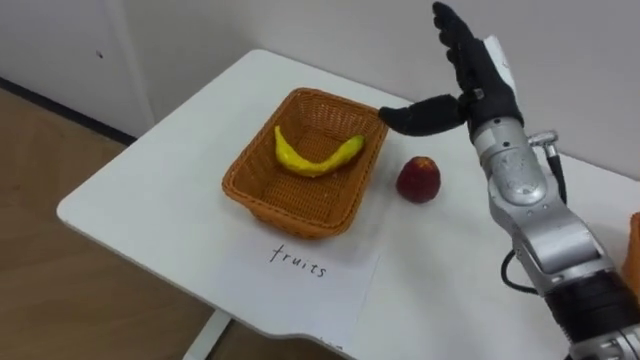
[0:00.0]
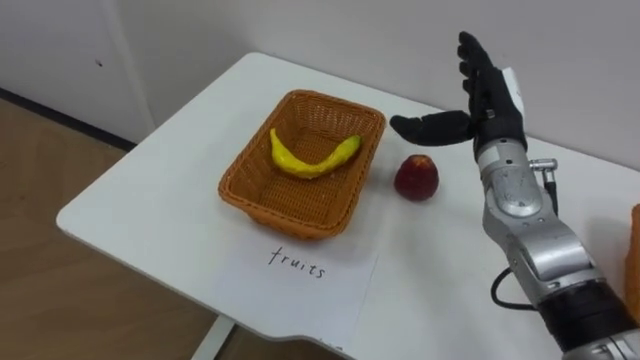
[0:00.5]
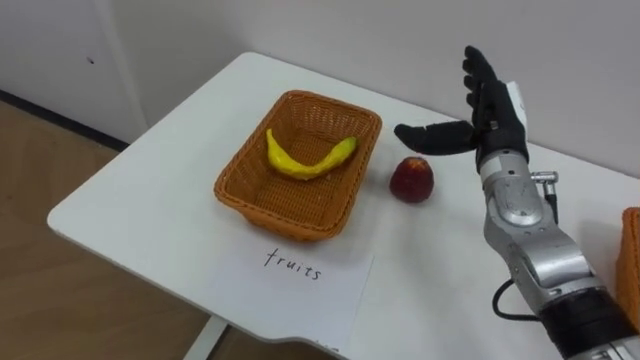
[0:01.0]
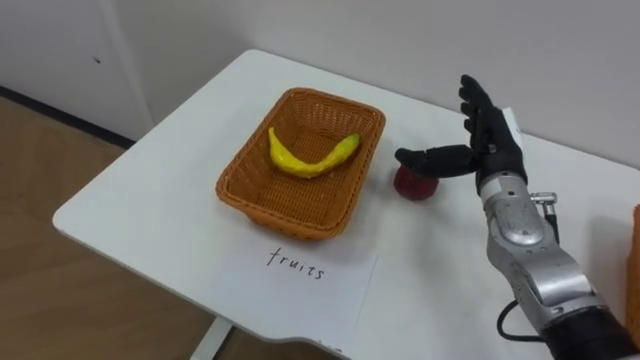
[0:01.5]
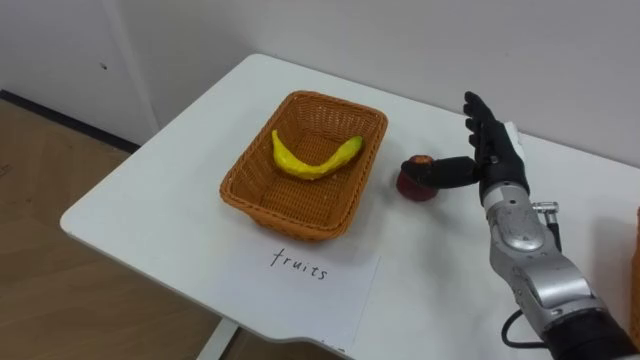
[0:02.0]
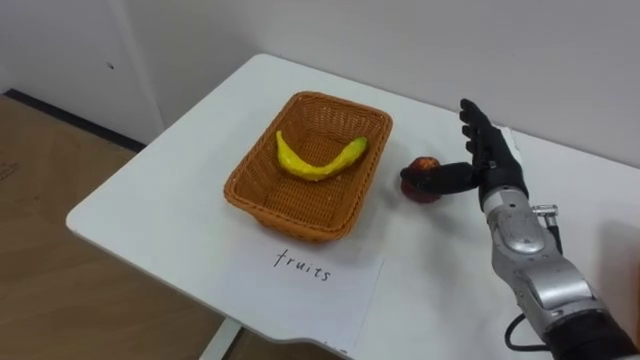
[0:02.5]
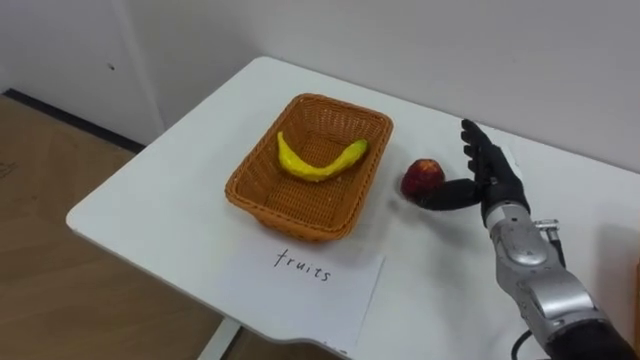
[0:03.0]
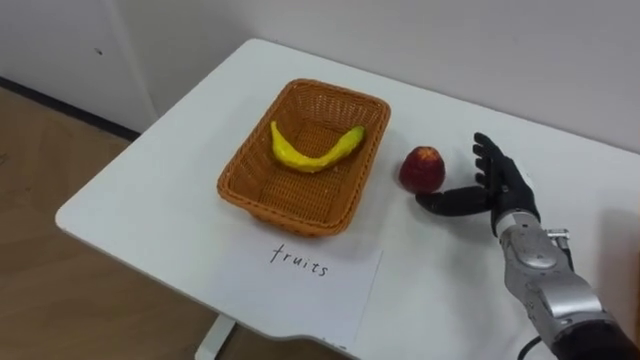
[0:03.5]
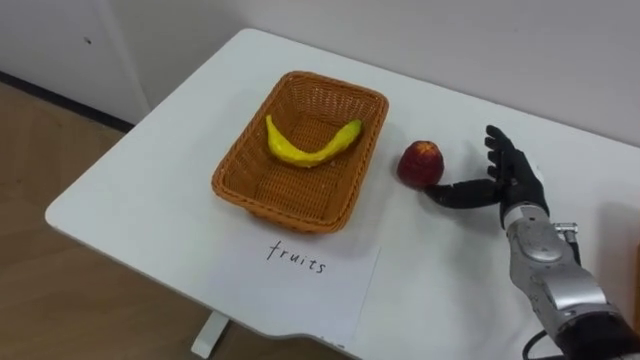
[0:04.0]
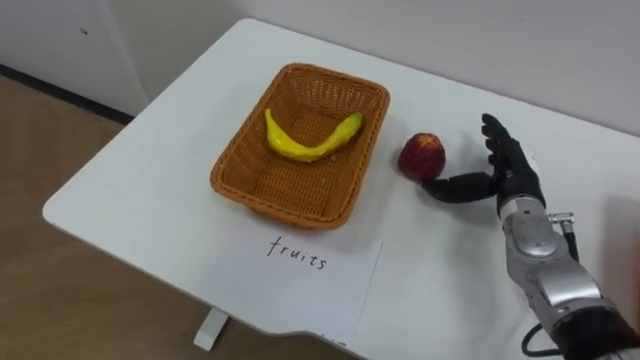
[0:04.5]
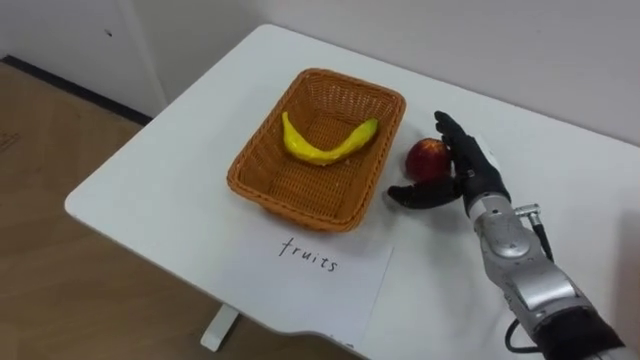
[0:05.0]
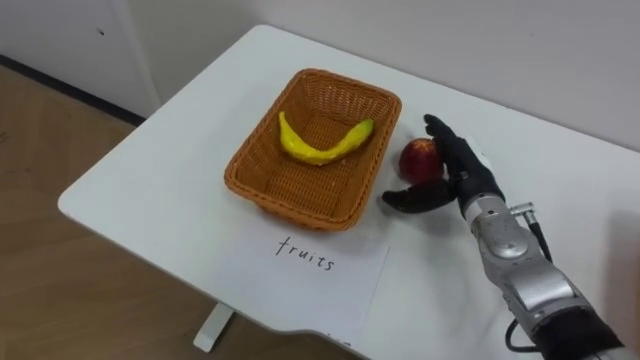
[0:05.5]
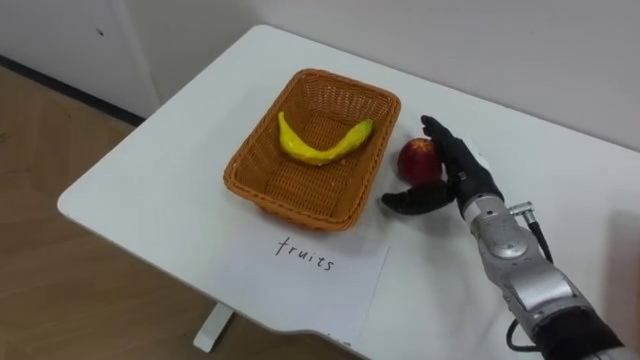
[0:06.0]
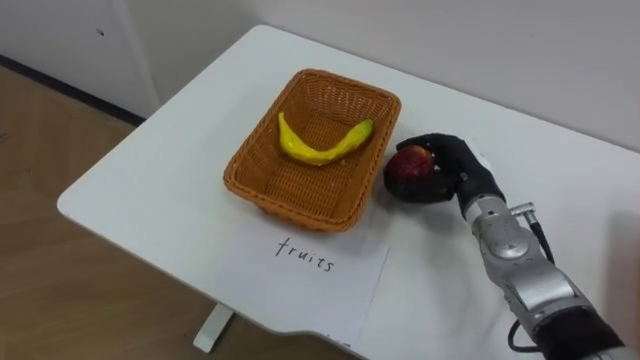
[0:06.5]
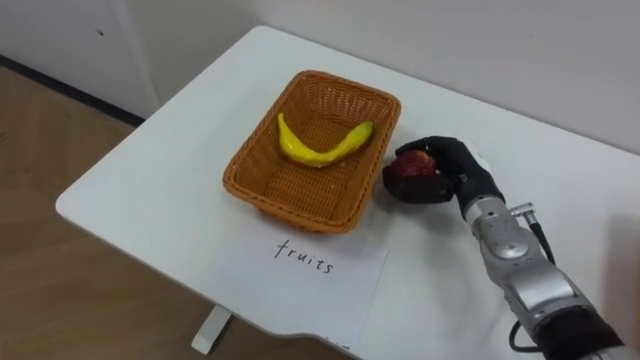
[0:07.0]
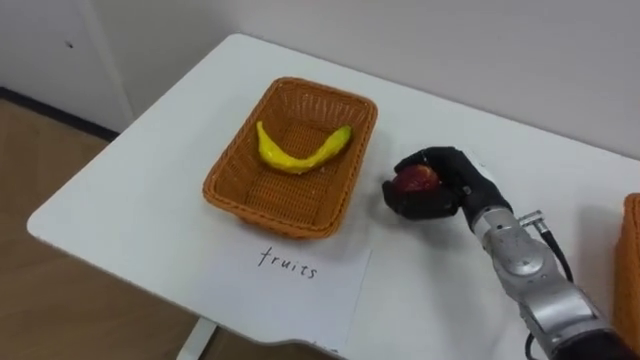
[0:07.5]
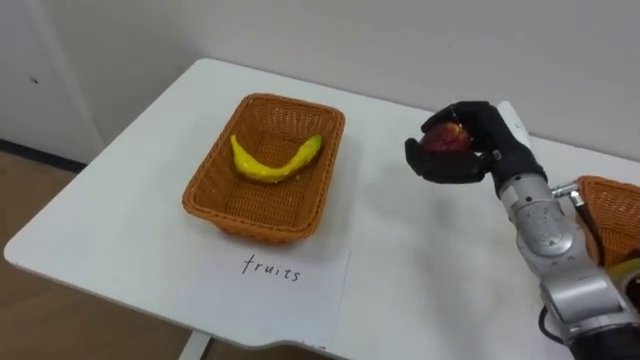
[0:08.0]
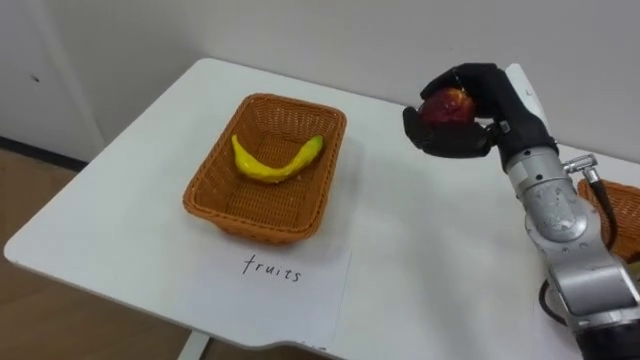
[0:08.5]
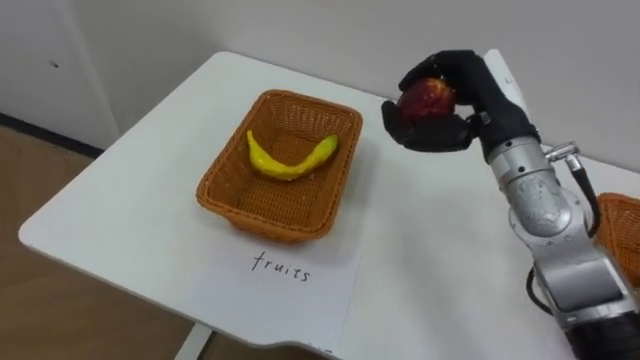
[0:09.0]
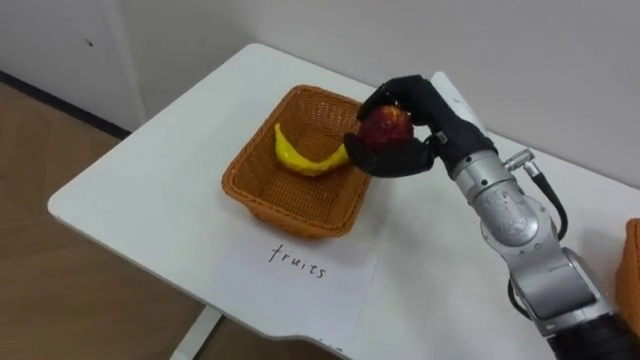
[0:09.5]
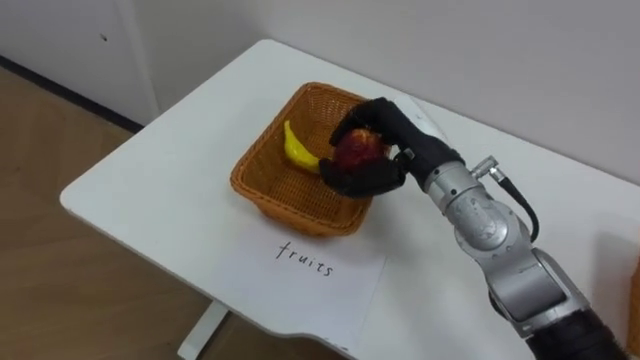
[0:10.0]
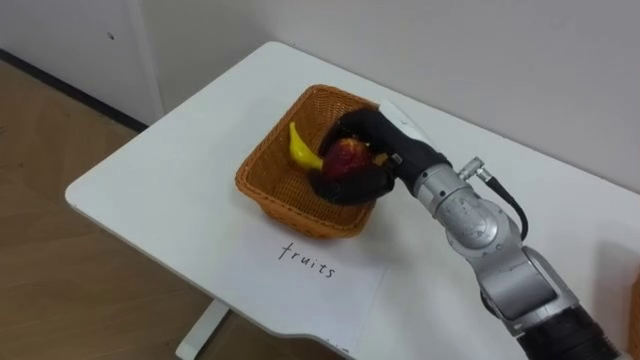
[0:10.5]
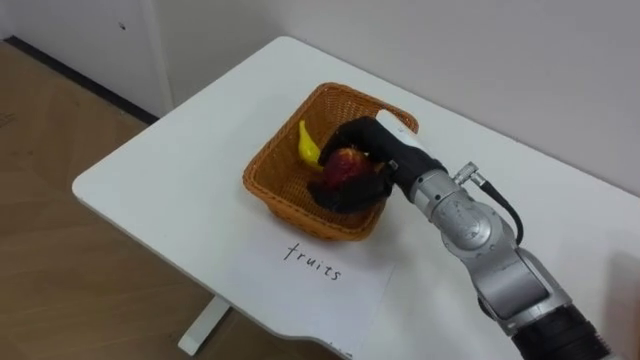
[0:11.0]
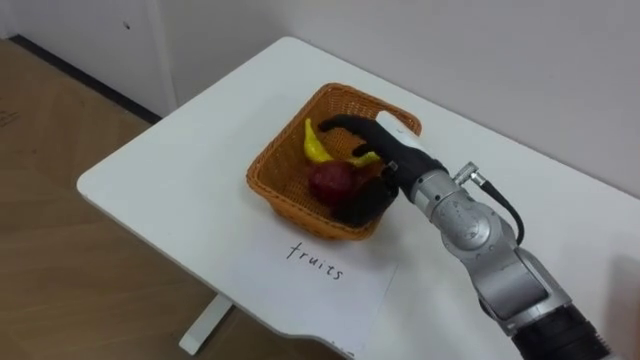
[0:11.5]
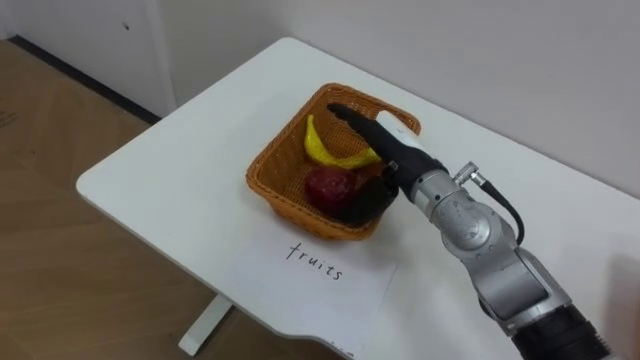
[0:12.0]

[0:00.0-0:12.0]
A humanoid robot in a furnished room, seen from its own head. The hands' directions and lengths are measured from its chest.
Task of the whole recording: Separate the items on the table and place them into the two baskets.
0:00.0 to 0:02.0: The right hand is displaced downward by about 10 cm.
0:02.0 to 0:04.0: The right hand moves some 5 cm.
0:04.0 to 0:06.0: The right hand moves to the left, some 5 cm.
0:06.0 to 0:08.0: The right hand shifts roughly 5 cm upward, and closes.
0:08.0 to 0:10.0: The right hand shifts about 10 cm to the left.
0:10.0 to 0:12.0: The right hand opens.

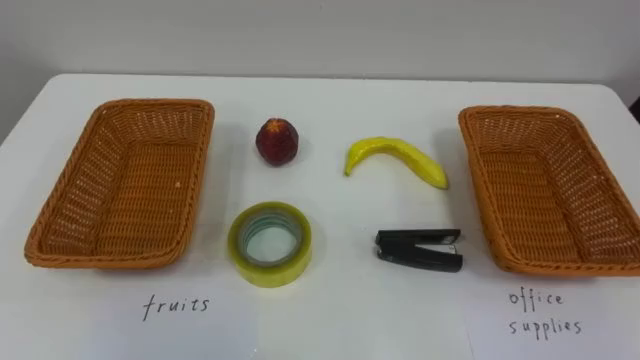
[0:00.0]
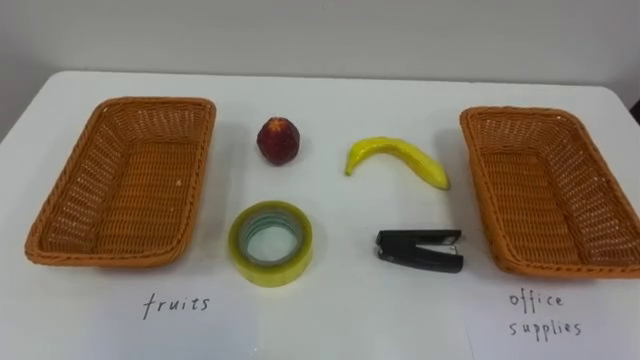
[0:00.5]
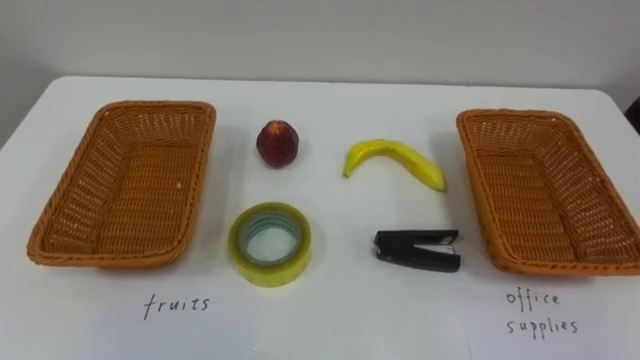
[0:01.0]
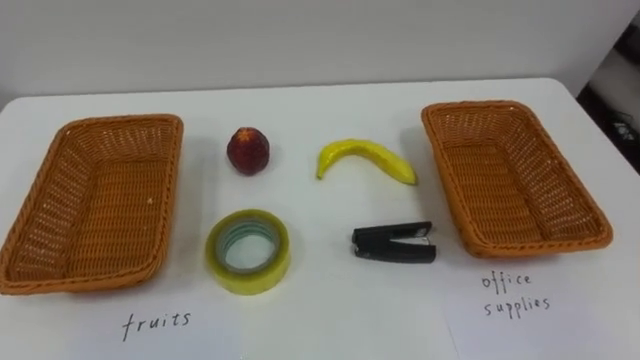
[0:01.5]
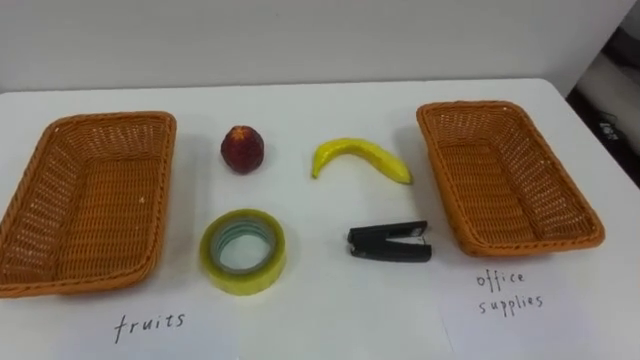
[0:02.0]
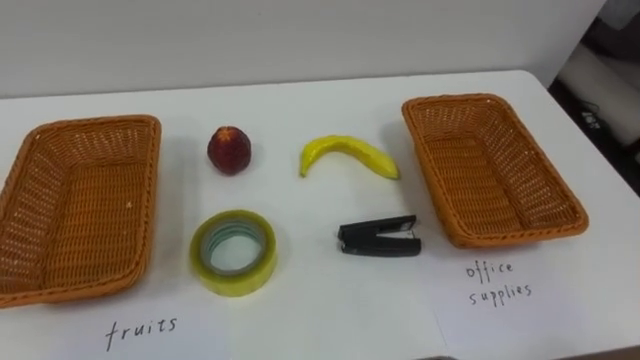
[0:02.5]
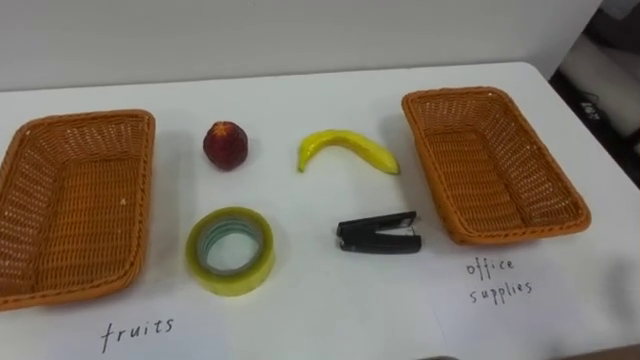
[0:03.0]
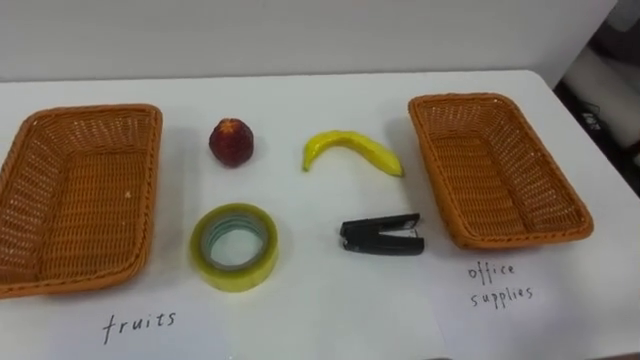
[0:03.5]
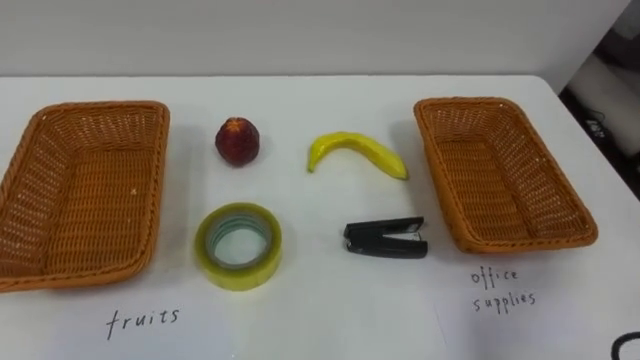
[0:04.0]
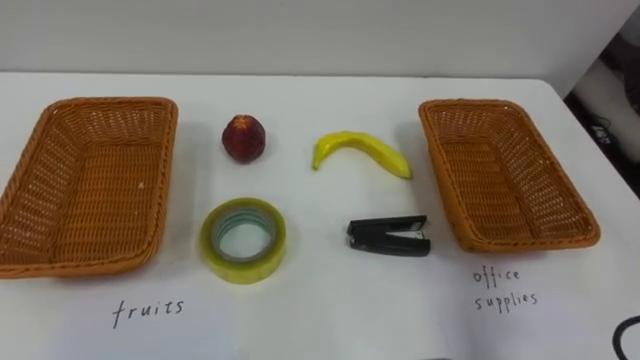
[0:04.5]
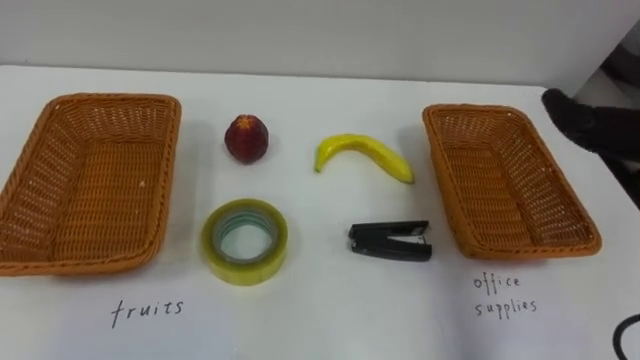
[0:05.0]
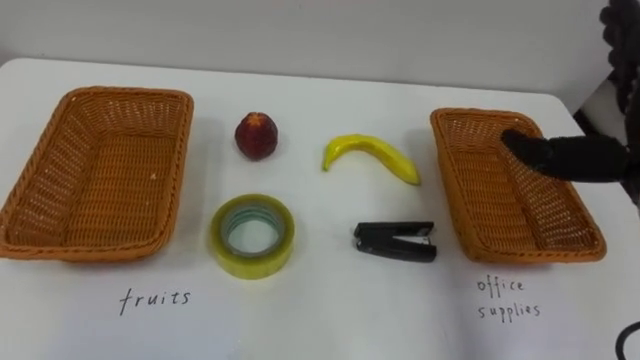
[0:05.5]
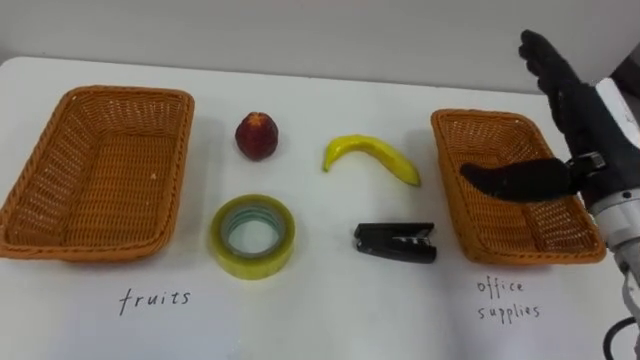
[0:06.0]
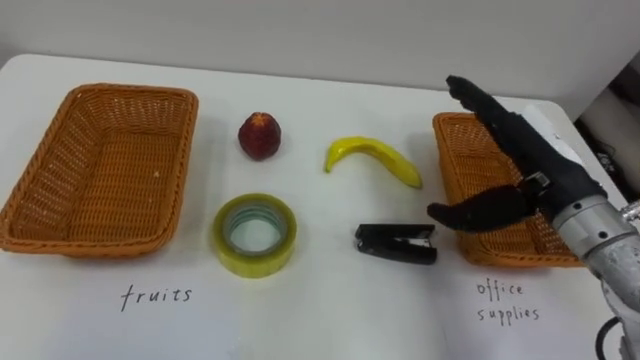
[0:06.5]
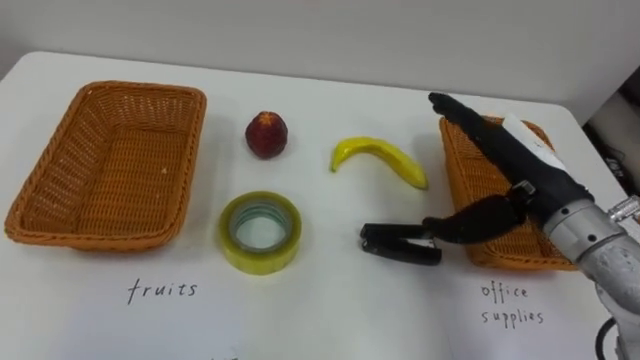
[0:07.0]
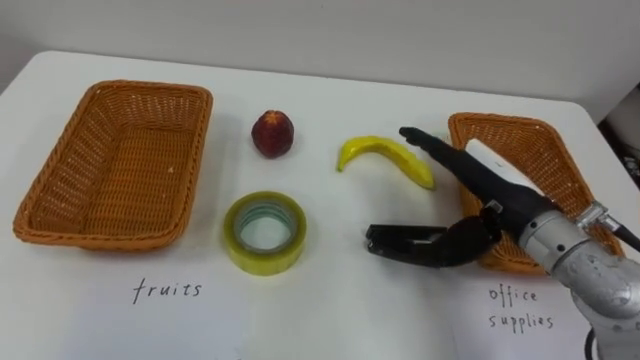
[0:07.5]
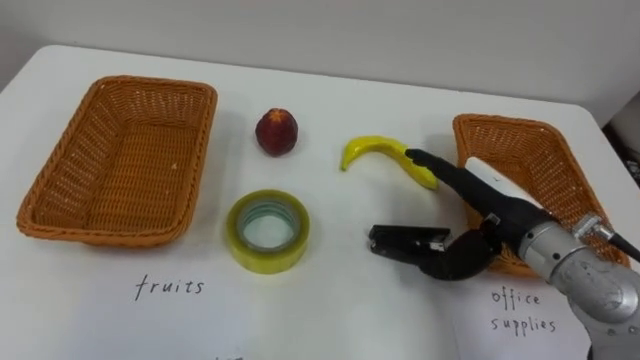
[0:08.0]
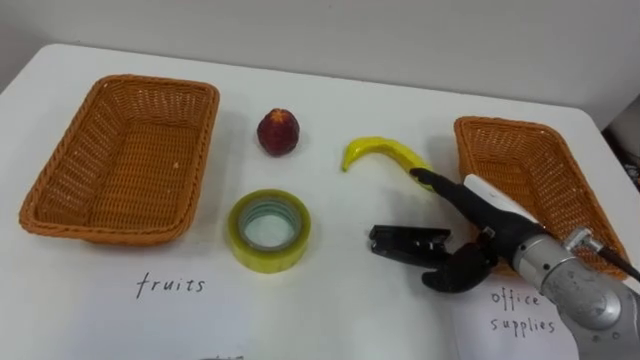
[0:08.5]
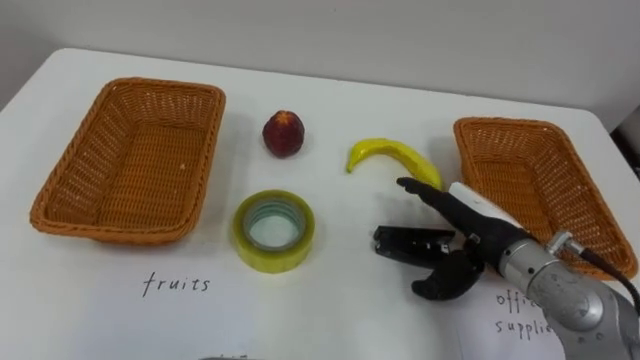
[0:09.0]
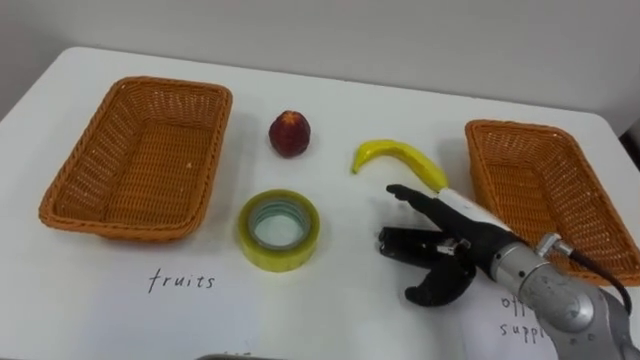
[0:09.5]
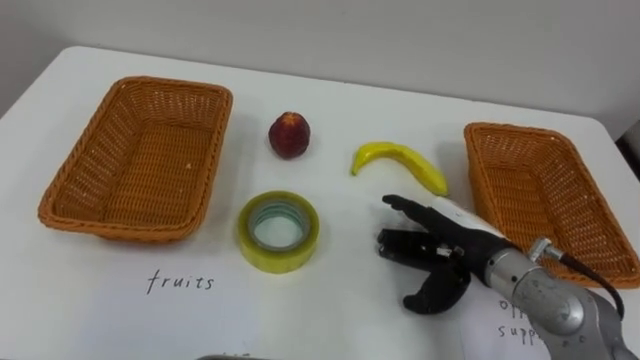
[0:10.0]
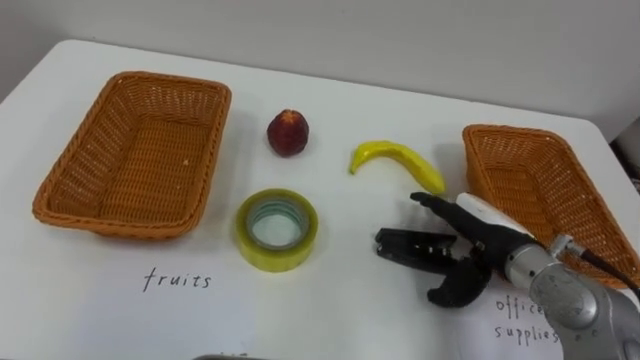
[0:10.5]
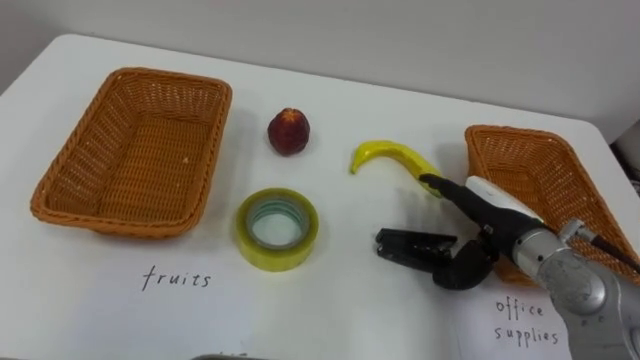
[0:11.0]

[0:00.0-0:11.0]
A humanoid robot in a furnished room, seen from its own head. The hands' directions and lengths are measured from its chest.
Task of the whole recording: Separate the items on the table and place them into the two baskets.
0:07.5 to 0:09.0: The right hand heads downward, covering roughly 5 cm.
